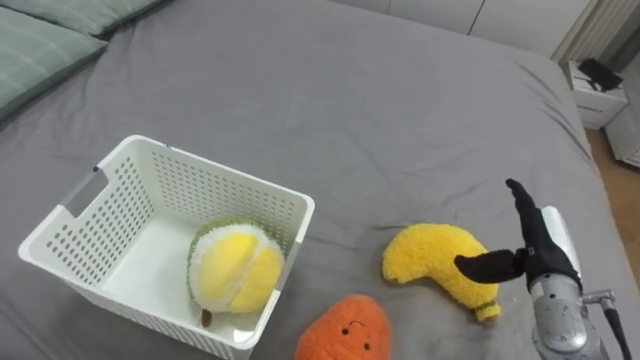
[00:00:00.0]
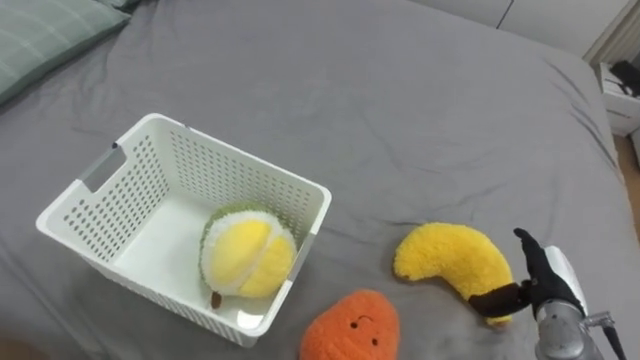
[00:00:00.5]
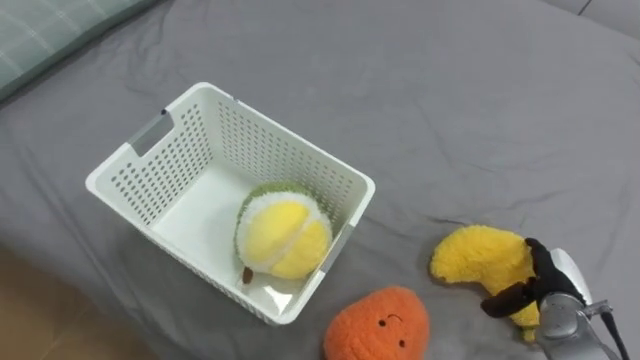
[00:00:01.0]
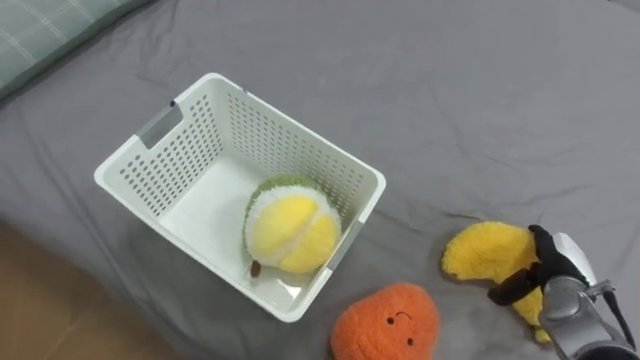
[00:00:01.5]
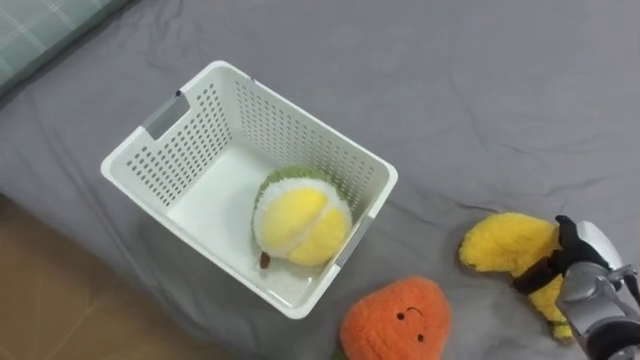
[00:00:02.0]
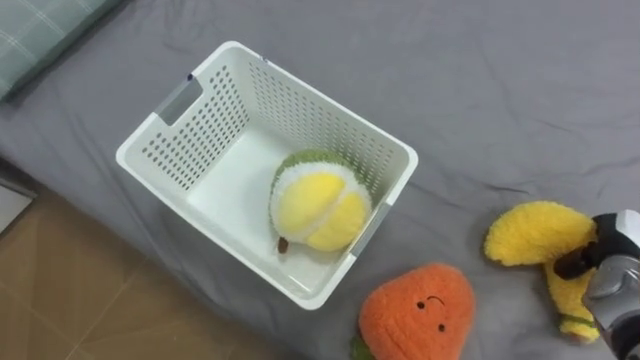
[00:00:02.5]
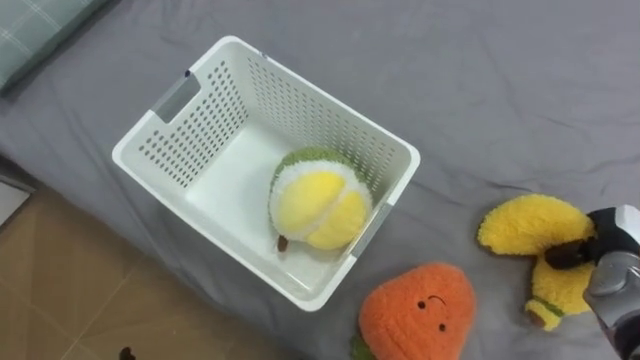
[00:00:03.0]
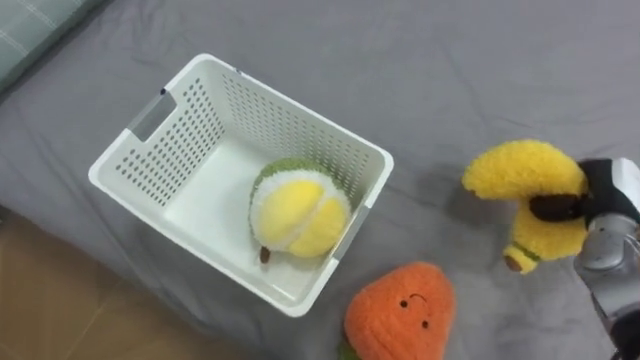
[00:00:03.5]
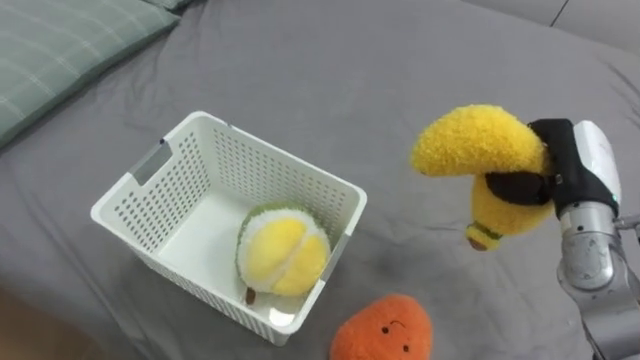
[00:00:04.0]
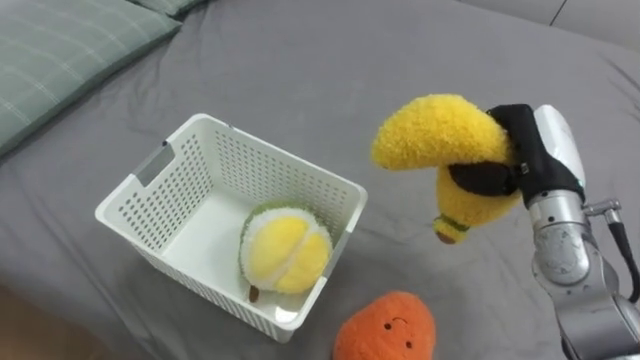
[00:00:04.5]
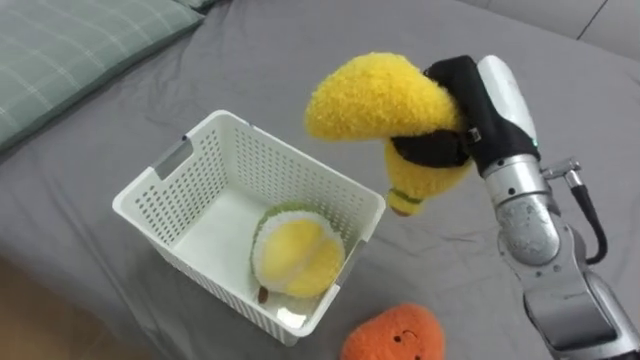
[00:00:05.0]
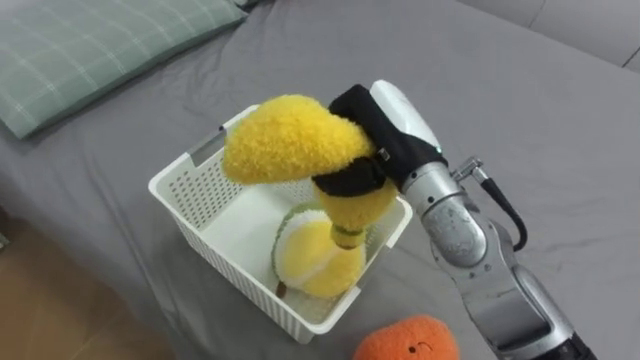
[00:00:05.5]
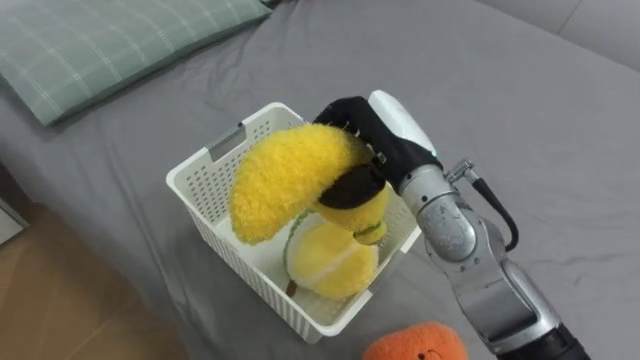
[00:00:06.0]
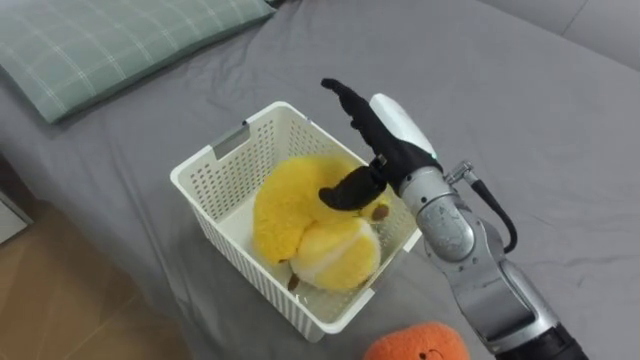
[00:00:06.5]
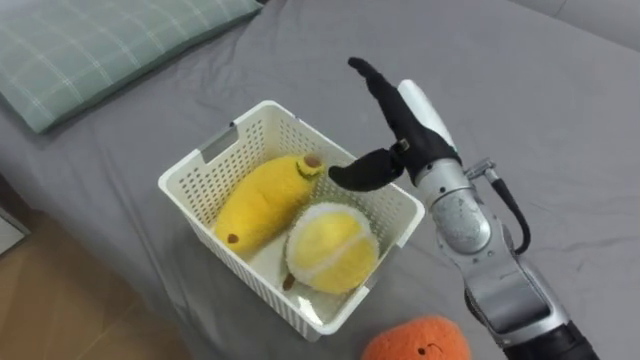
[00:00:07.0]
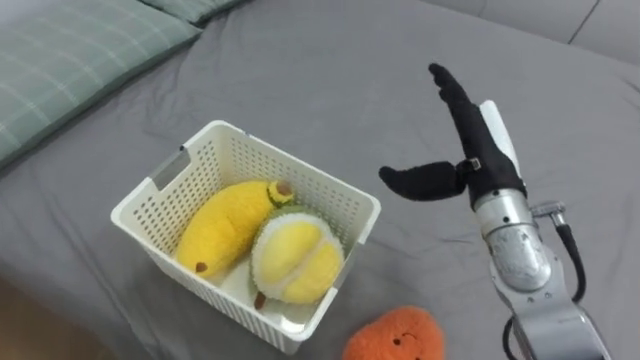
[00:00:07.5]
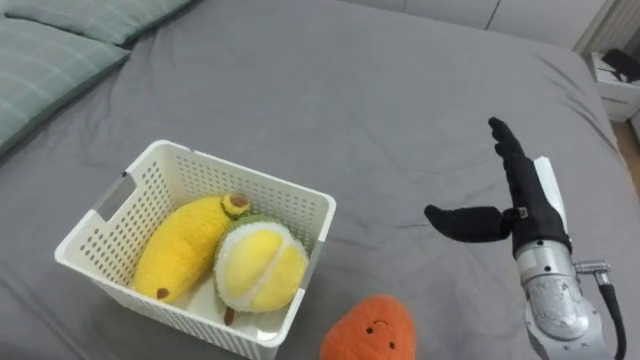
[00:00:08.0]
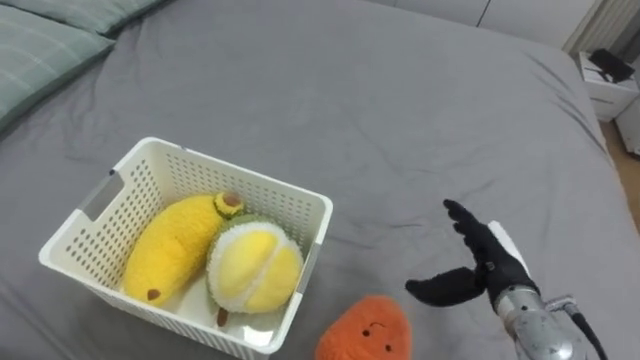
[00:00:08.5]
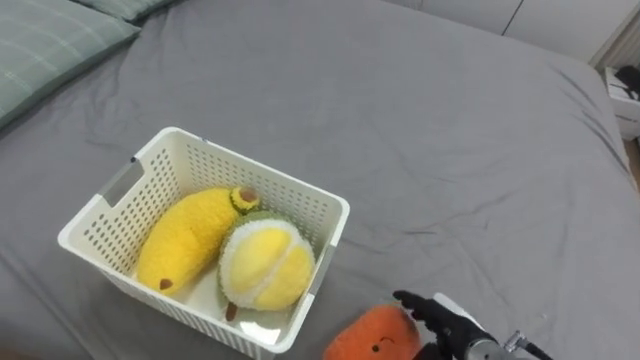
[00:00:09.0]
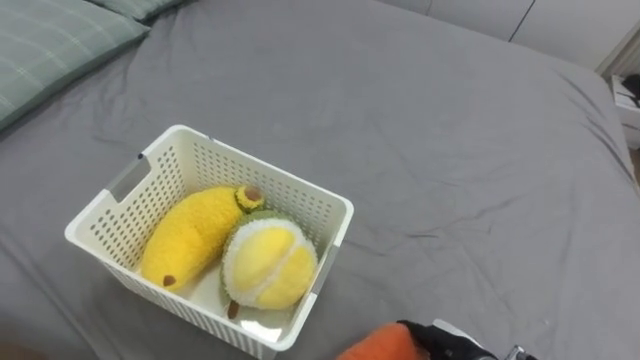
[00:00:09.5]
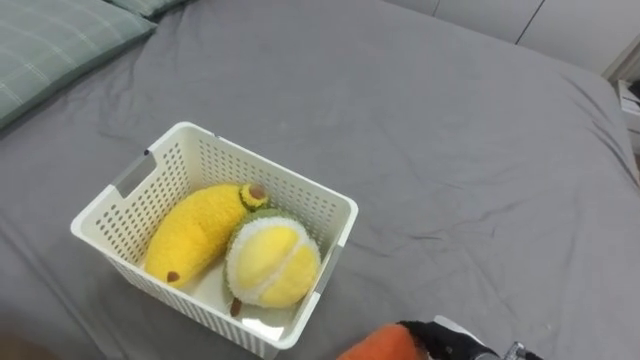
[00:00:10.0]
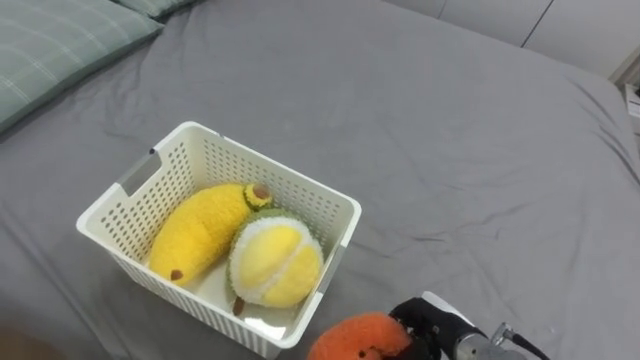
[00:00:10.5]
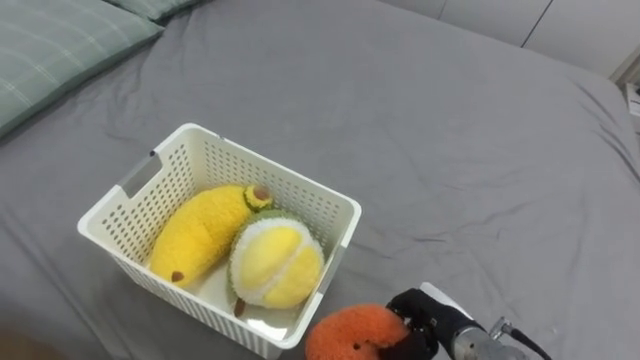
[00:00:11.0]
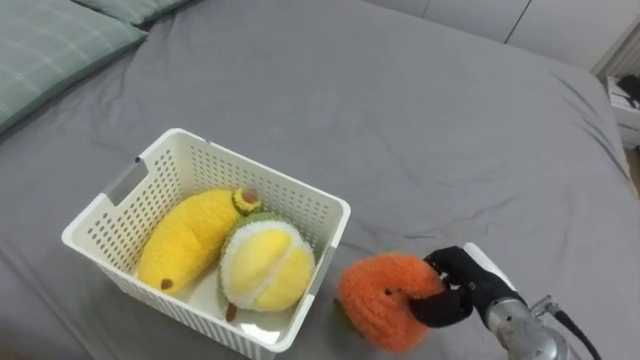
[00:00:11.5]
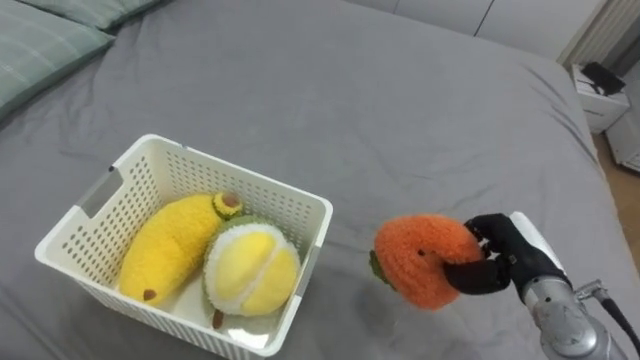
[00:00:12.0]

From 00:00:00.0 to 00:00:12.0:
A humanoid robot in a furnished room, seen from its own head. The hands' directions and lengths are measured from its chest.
Task of the whole recording: Put the toys on the bed into the basket on the left.
From 00:00:00.0 to 00:00:02.0: The right hand heads to the right and downward, covering roughly 10 cm.
From 00:00:02.0 to 00:00:04.0: The right hand moves upward, about 15 cm, and closes.
From 00:00:04.0 to 00:00:06.0: The right hand goes about 20 cm to the left.
From 00:00:06.0 to 00:00:08.0: The right hand shifts roughly 15 cm to the right, and opens.
From 00:00:08.0 to 00:00:10.0: The right hand moves downward and backward, some 20 cm.
From 00:00:10.0 to 00:00:12.0: The right hand moves upward, forward and to the right, some 15 cm, and closes up.

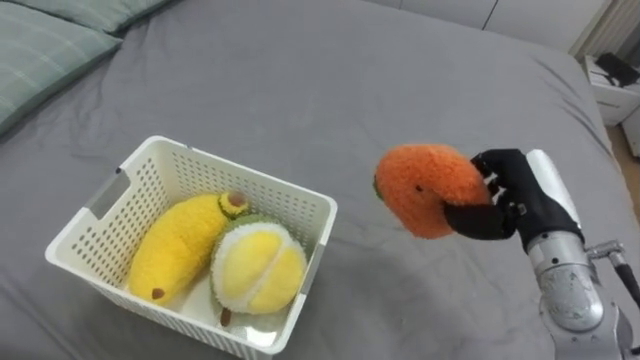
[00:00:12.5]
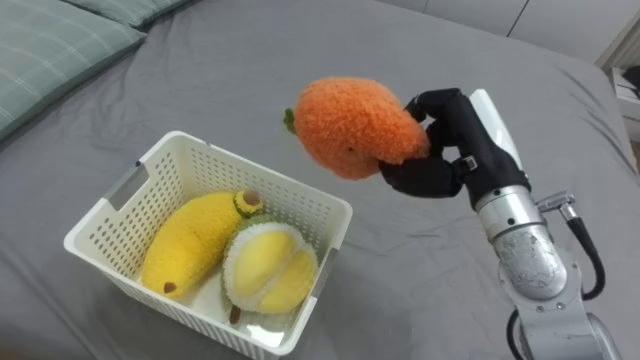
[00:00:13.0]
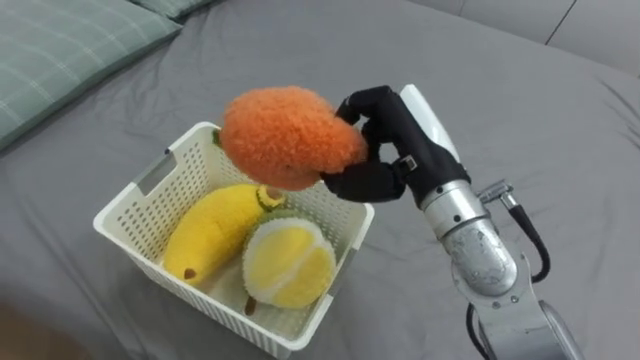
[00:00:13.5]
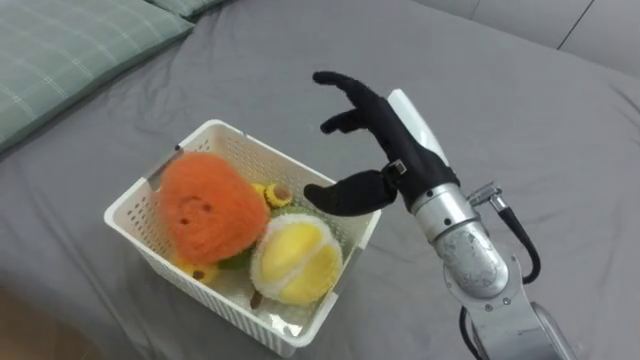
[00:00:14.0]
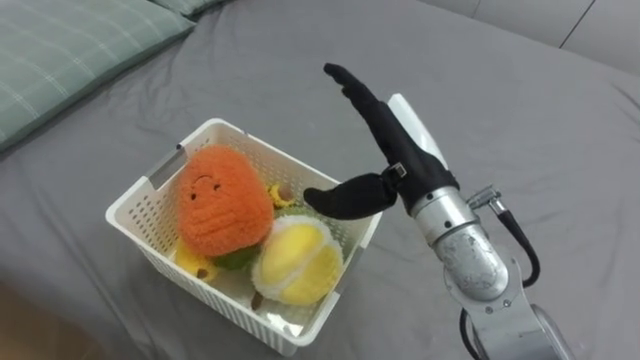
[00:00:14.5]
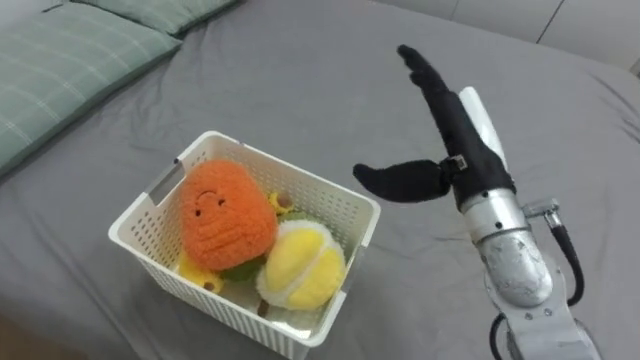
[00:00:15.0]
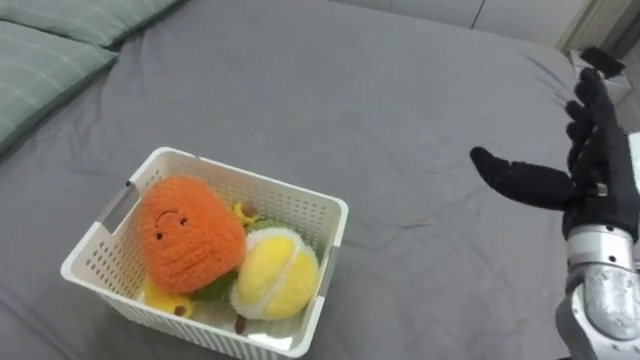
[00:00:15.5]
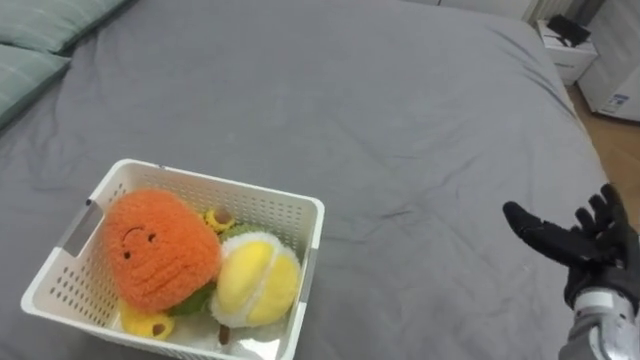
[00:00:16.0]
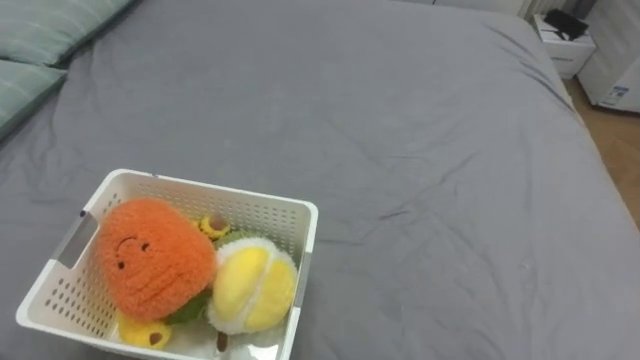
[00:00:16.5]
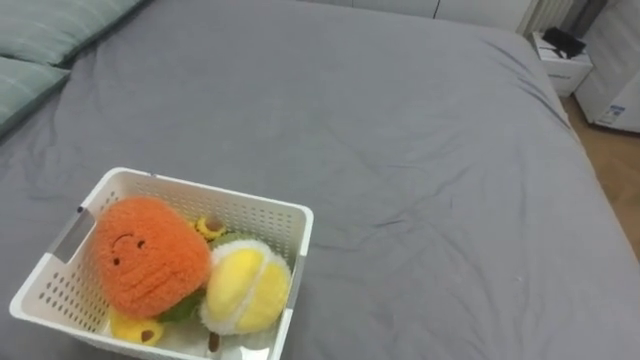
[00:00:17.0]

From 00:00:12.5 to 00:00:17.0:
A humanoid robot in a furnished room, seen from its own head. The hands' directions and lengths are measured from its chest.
Task of the whole recording: Put the toys on the bed into the basket on the left.
From 00:00:12.5 to 00:00:14.5: The right hand shifts about 15 cm to the left and upward, and opens up.

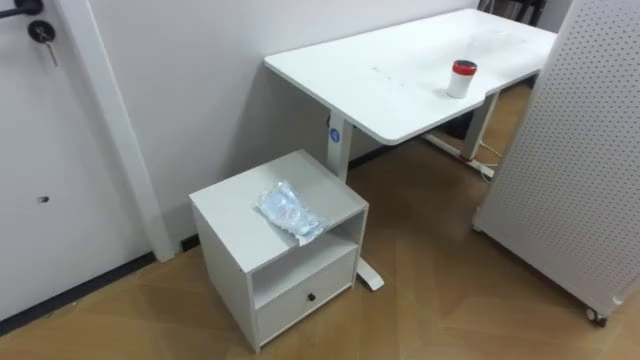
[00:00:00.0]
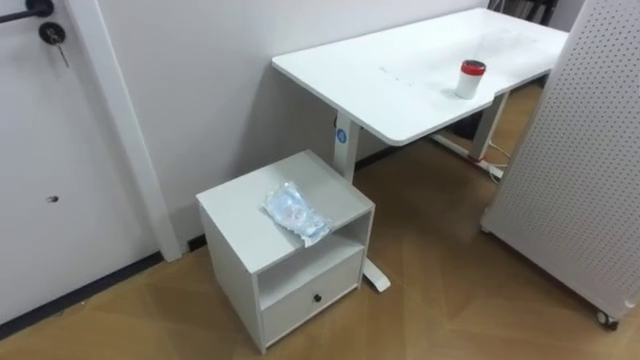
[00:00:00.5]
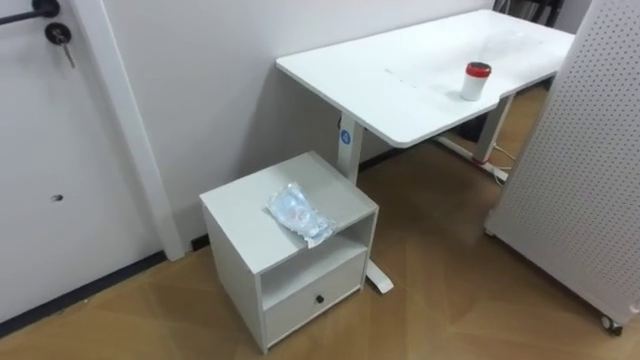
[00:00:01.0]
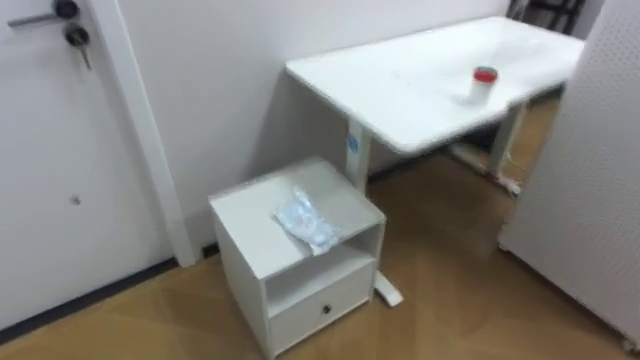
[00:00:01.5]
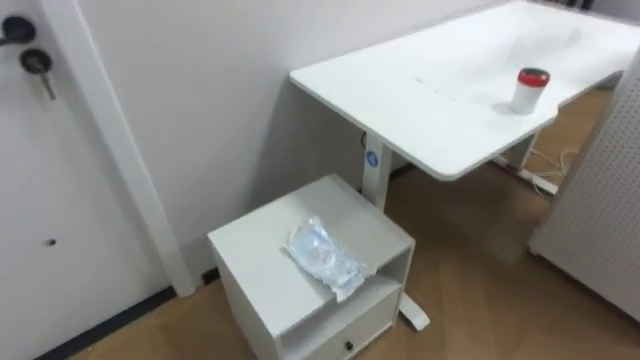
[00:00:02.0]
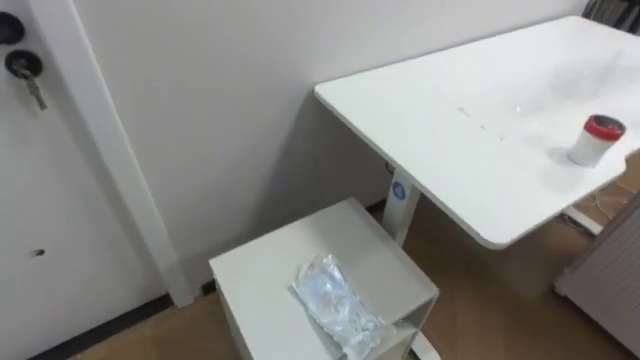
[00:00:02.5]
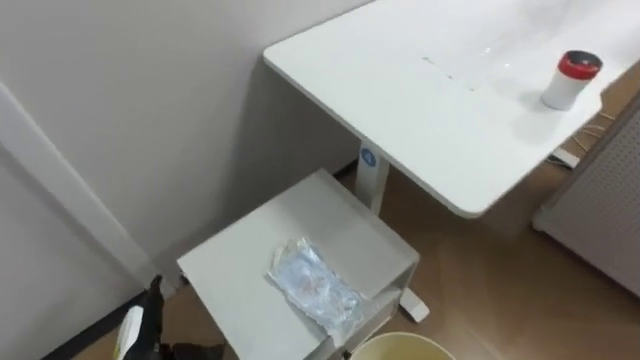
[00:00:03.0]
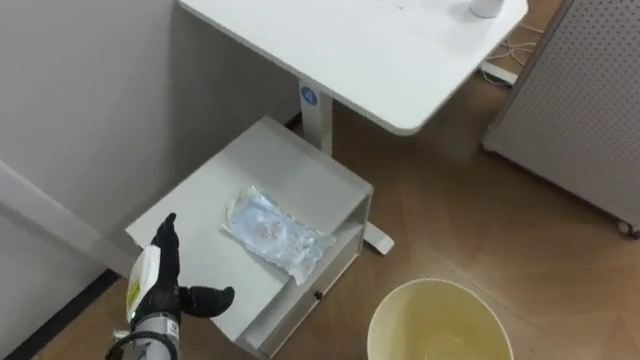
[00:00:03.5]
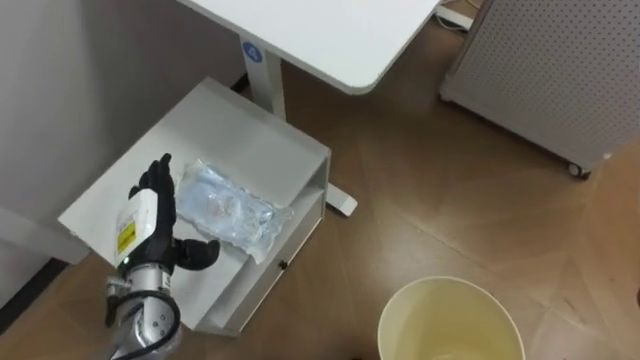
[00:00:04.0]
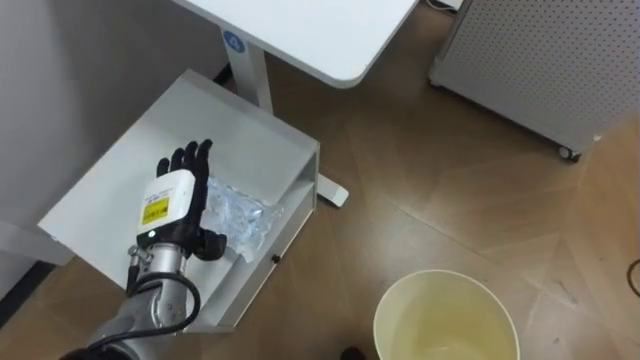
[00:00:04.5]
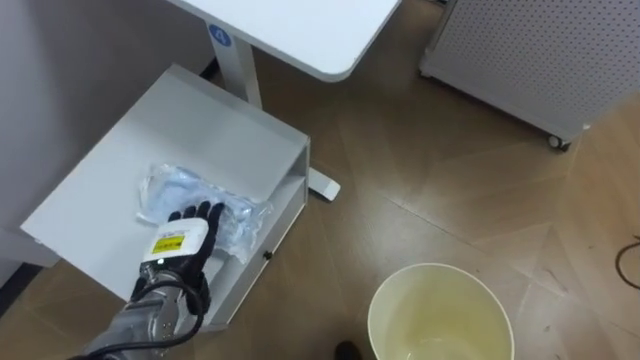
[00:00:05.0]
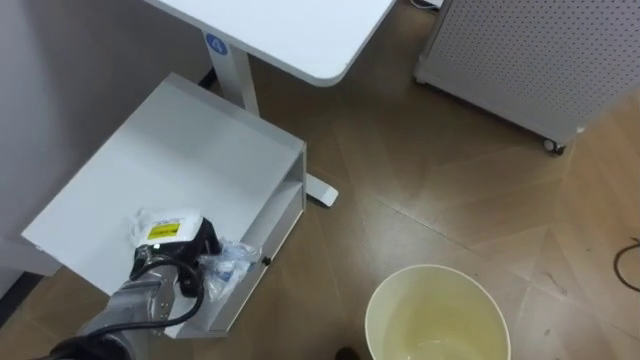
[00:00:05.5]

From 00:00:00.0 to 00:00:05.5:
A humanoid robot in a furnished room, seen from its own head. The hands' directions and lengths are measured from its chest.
Task of the whole recording: Pick up the light blue package, the candy box, and the dark blue package separately, and put them into the trash can held in your right hand.
From 00:00:03.5 to 00:00:05.5: The left hand shifts some 5 cm forward, moves approximately 10 cm upward and comes back, and closes its fingers.
